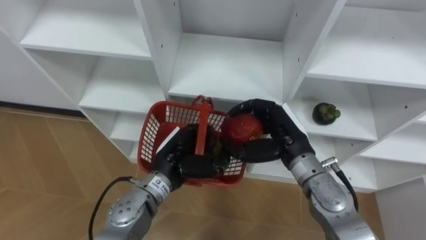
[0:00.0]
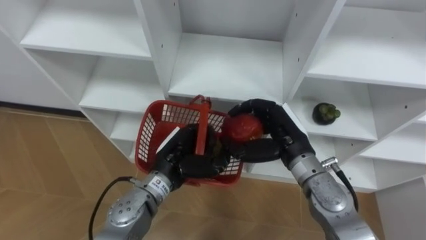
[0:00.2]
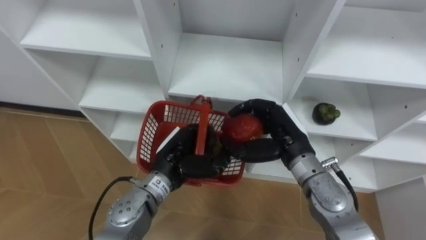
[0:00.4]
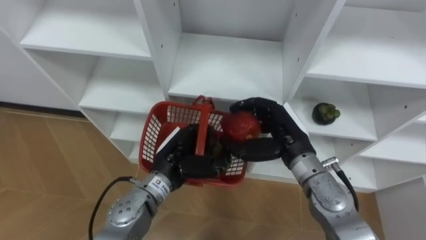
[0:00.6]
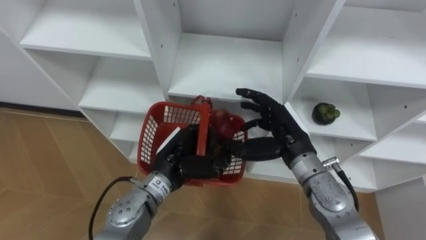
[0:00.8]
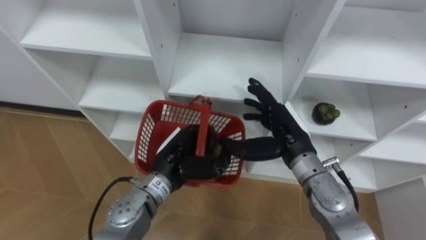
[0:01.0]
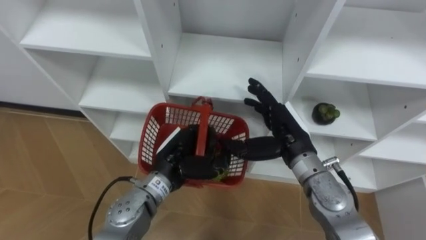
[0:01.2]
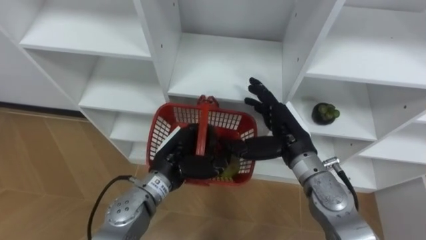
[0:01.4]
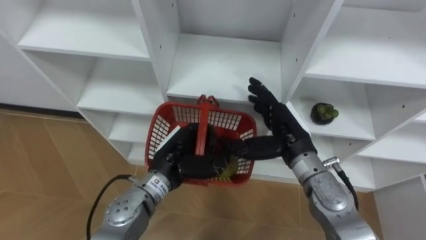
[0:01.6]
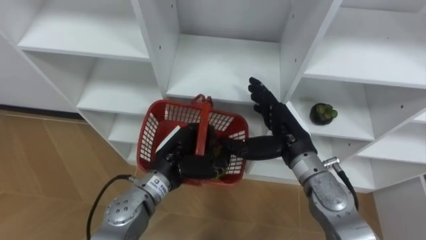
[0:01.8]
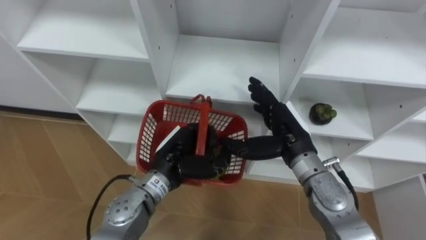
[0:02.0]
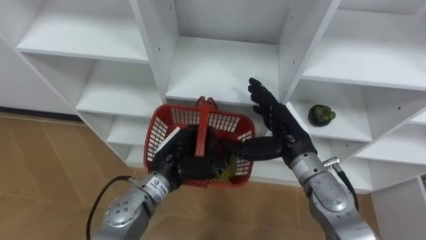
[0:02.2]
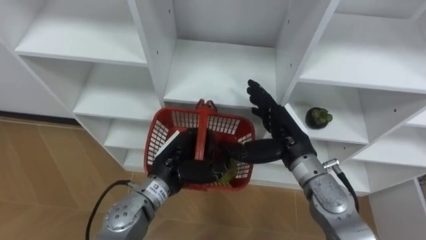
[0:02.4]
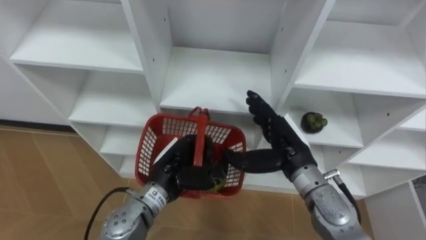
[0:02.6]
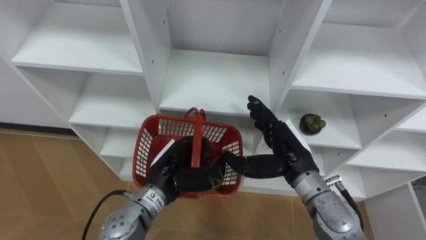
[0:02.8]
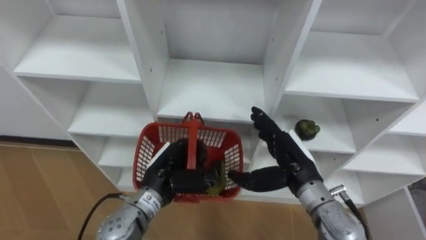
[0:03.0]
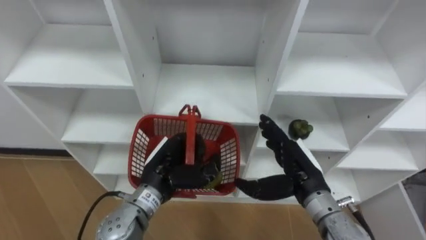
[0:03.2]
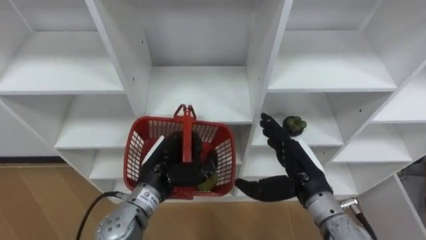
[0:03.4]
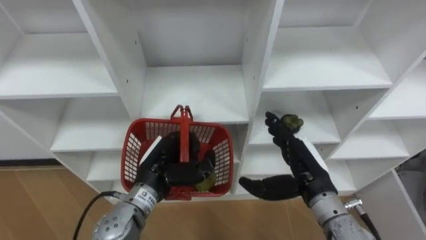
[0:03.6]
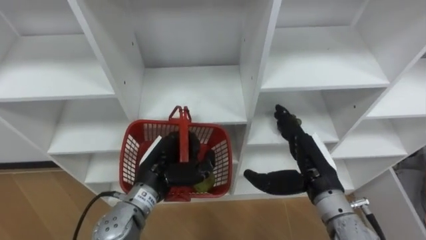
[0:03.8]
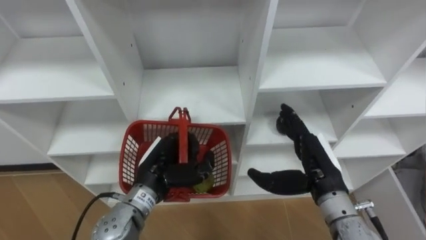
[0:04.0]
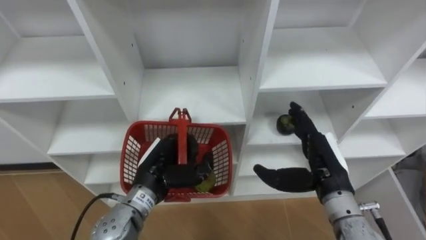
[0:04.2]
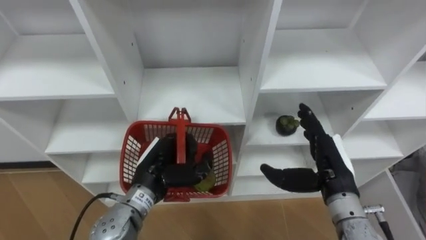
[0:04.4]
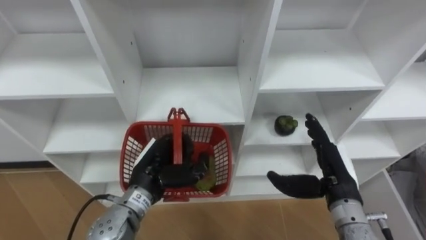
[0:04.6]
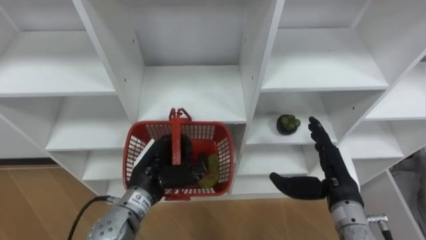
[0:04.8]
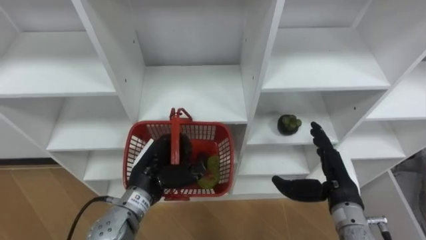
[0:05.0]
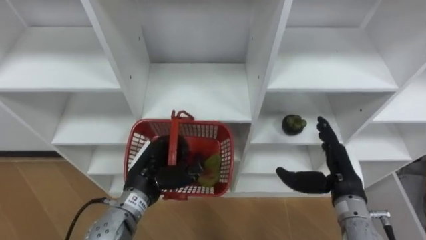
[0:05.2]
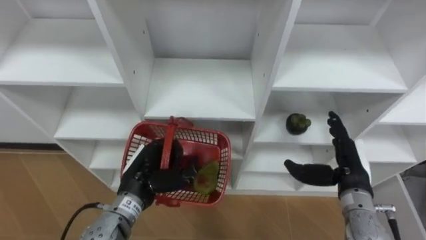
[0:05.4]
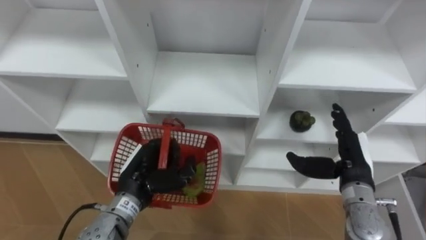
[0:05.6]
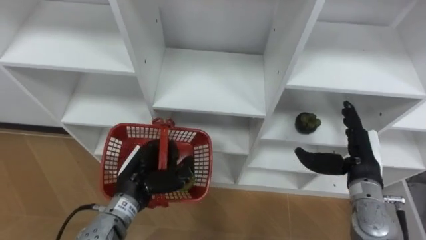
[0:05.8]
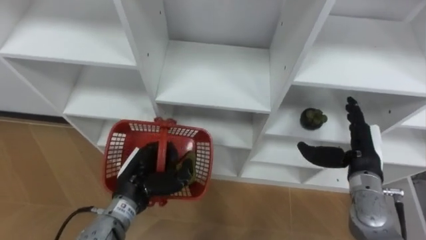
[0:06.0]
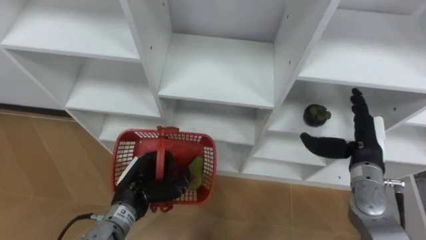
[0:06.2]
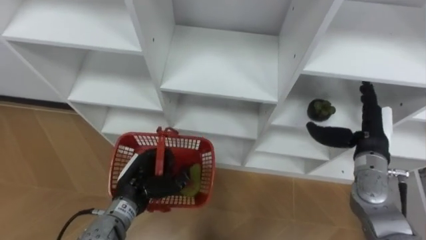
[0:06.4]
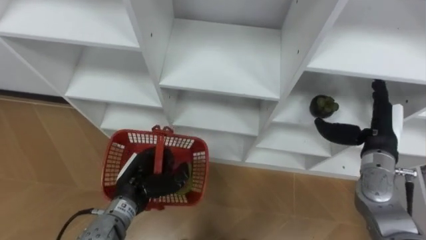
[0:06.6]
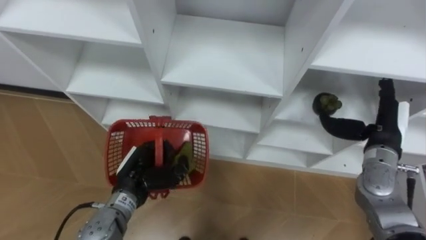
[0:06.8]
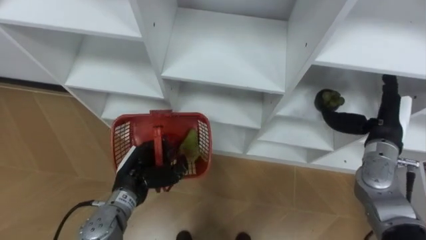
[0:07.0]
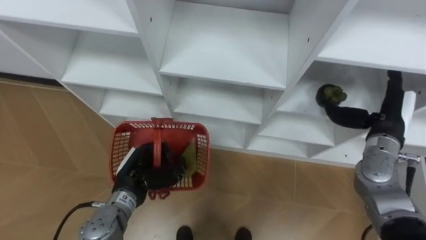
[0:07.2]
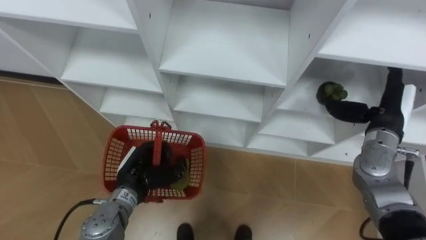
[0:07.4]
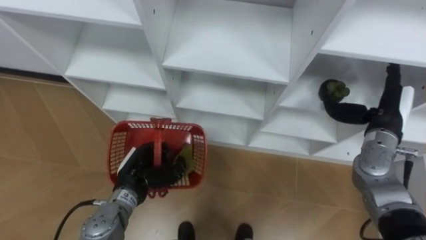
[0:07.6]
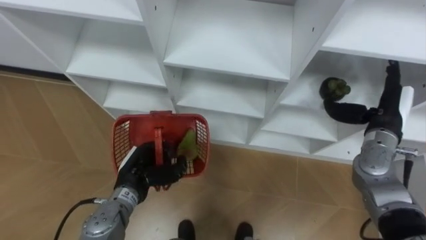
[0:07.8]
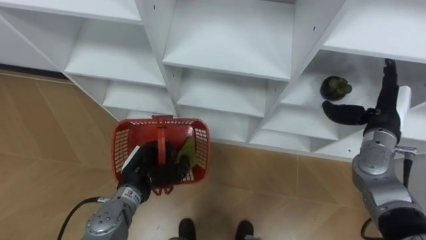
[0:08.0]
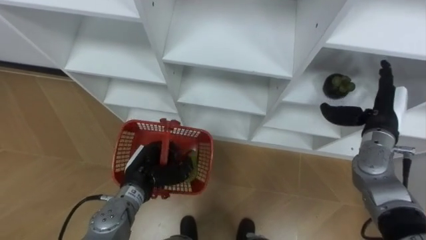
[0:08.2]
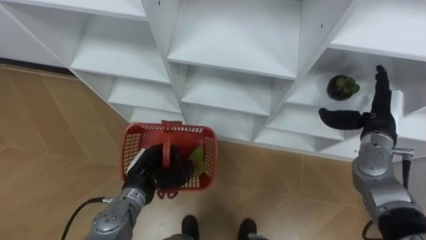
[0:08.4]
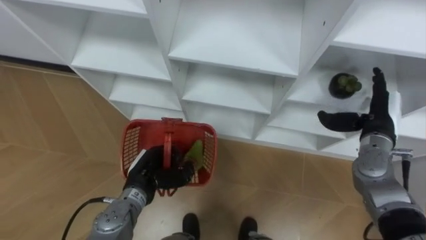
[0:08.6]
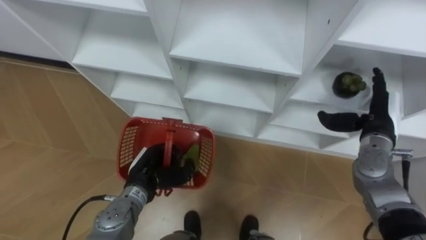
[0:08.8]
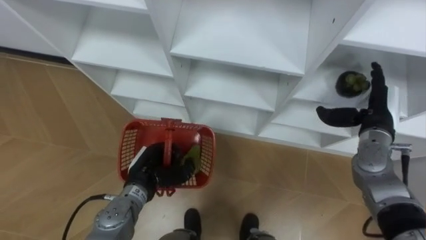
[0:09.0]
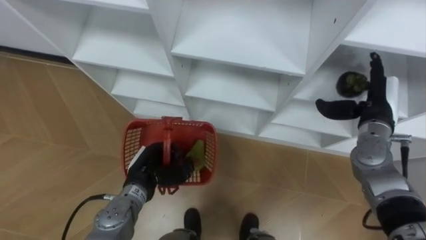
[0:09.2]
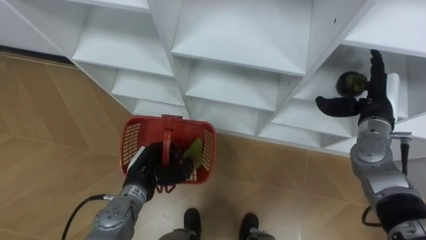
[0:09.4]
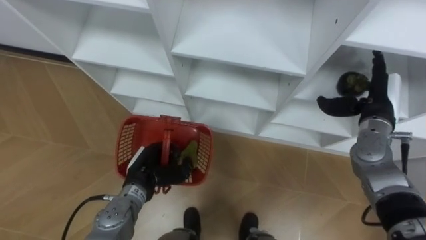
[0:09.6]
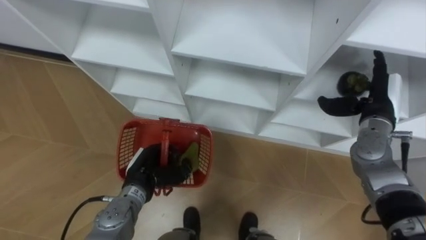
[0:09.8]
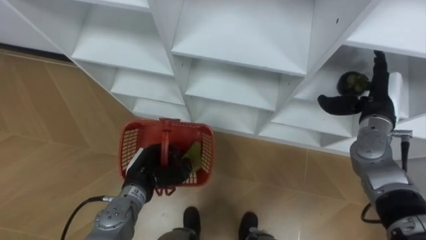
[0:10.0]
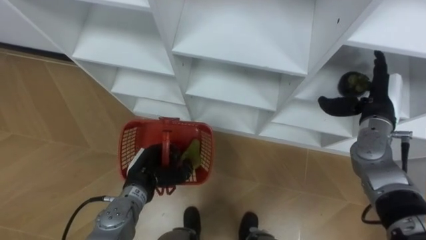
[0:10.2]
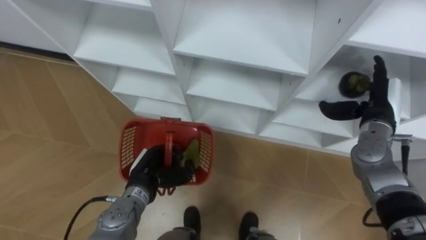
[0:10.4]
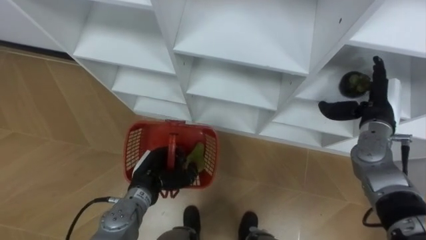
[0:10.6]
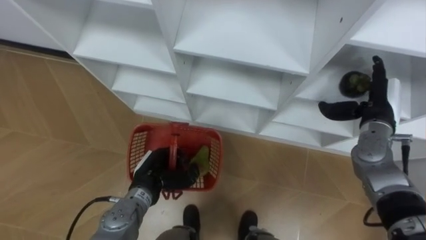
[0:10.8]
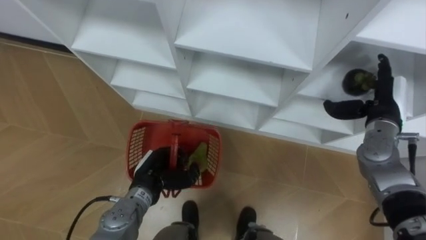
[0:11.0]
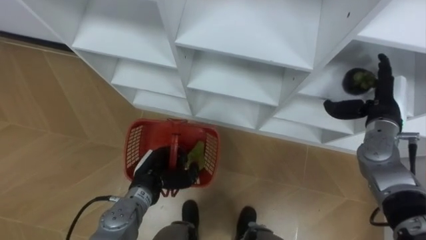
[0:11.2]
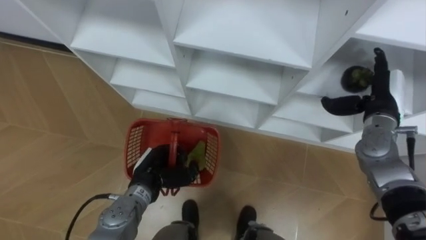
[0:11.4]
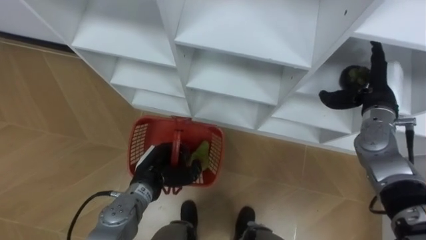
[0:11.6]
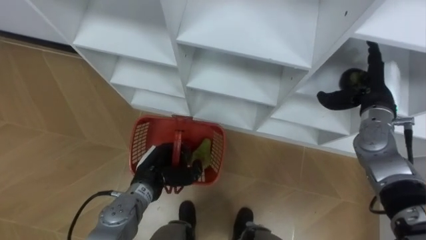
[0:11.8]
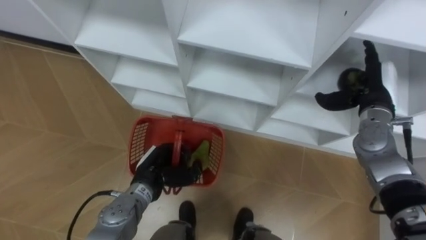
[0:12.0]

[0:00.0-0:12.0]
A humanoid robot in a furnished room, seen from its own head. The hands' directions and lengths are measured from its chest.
Task of the whole recording: Hold the basket and collect the fruits from 3 different cells of the closet into it.
0:00.0 to 0:01.6: The right hand opens its fingers.
0:01.6 to 0:03.0: The right hand shifts by some 5 cm.
0:03.0 to 0:04.4: The right hand shifts roughly 5 cm to the right.
0:04.4 to 0:06.0: The right hand shifts about 5 cm to the right.
0:06.0 to 0:07.6: The right hand goes roughly 5 cm forward.
0:09.0 to 0:10.4: There are only small adjustments of the hands.

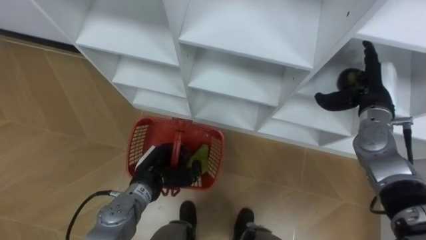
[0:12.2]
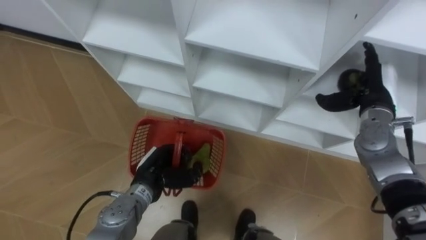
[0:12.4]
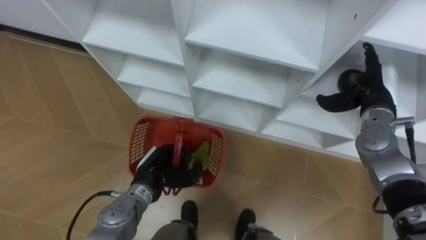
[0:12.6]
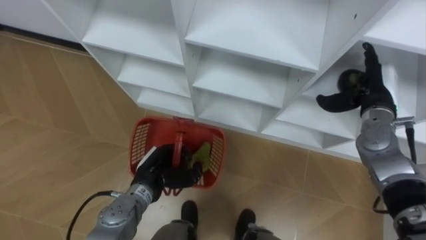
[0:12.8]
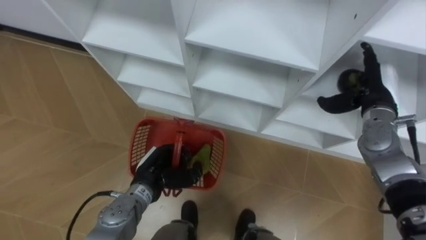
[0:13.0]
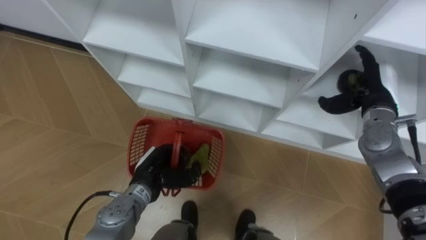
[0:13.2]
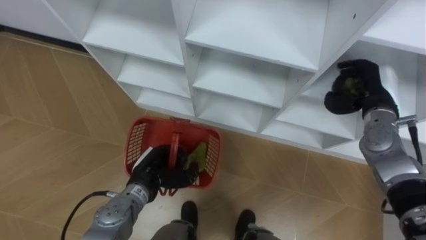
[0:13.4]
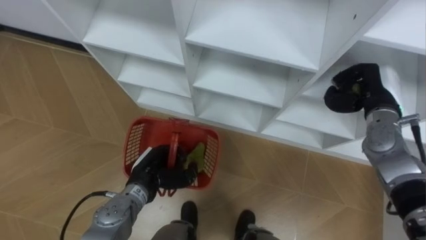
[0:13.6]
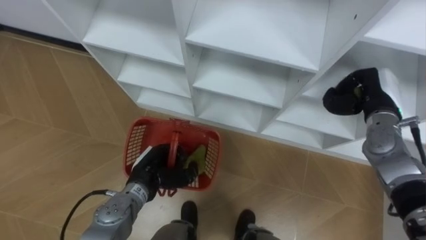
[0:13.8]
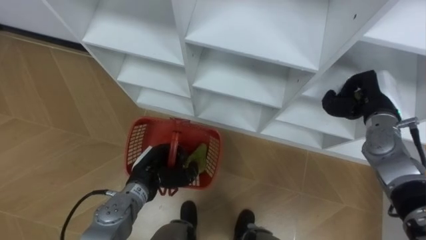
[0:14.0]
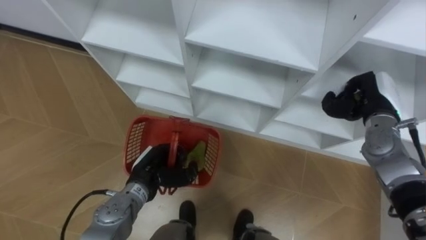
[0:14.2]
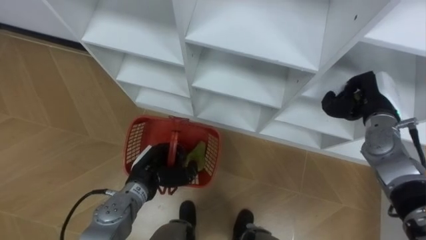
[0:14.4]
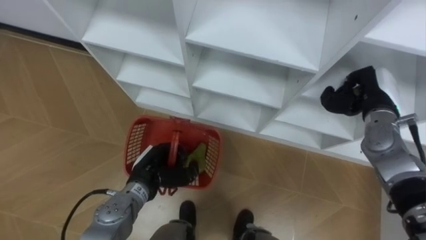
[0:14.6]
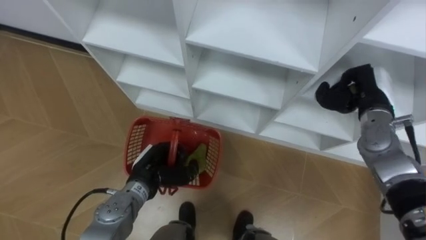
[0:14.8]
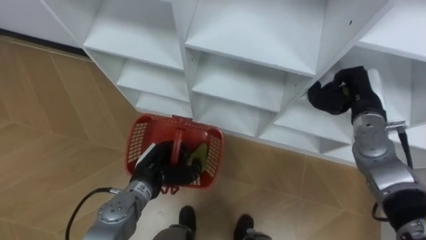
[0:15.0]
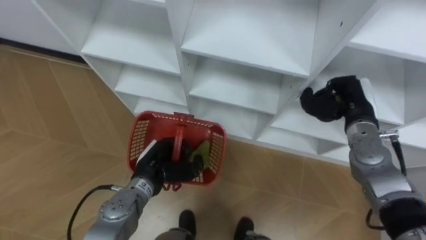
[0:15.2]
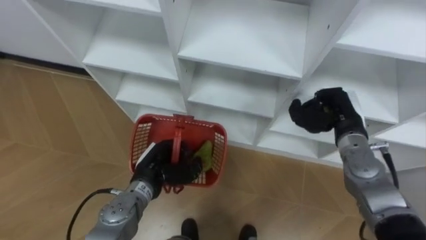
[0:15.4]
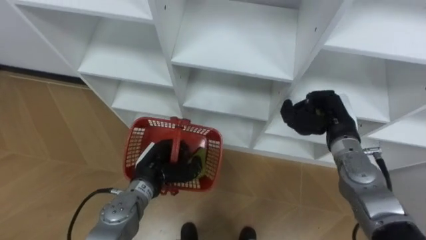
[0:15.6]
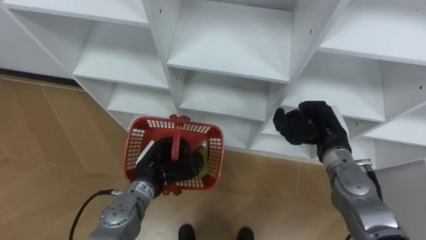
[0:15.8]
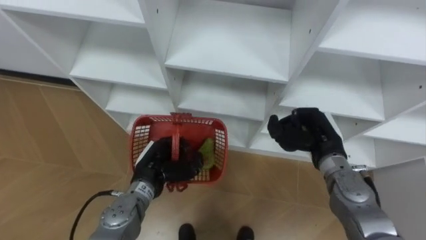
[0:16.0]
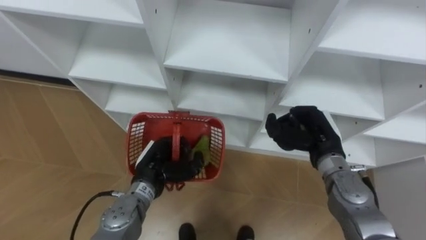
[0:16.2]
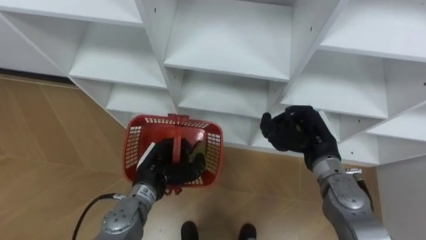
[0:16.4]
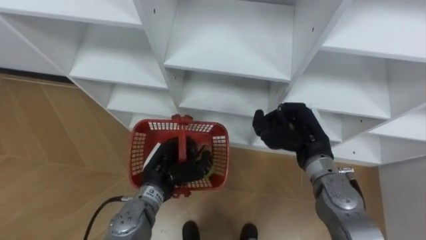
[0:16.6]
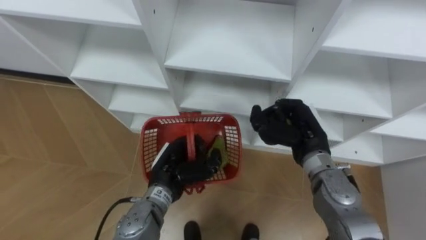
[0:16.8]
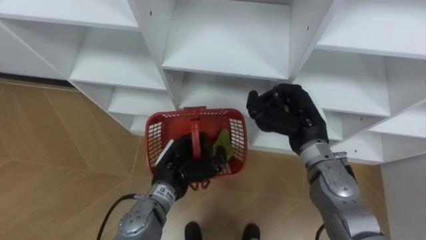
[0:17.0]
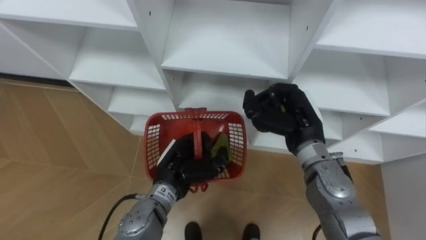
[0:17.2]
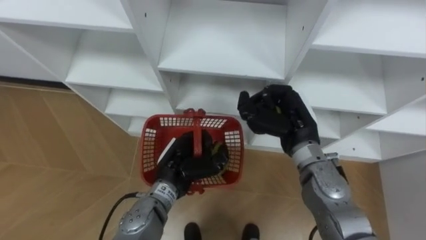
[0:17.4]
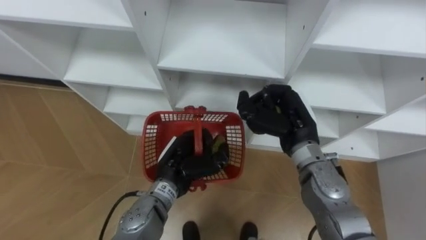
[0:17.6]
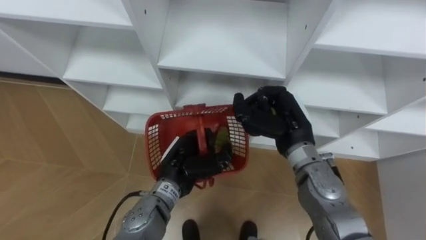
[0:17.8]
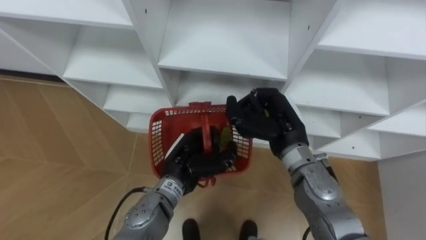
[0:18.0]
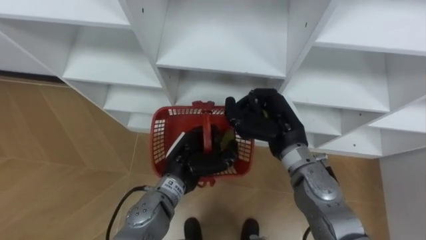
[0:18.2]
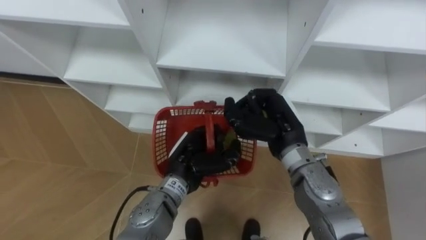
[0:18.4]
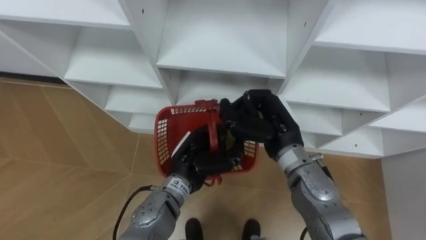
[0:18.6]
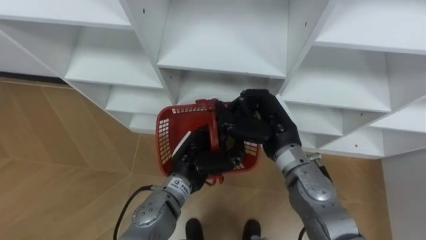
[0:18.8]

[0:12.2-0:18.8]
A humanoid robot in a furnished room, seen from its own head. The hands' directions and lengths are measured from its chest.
Task of the whole recording: Hold the basket and collect the fruits from 3 different cells of the closet into it.
0:12.2 to 0:13.8: The right hand closes its fingers.
0:13.8 to 0:15.4: The right hand is displaced to the left by some 5 cm.
0:15.4 to 0:17.2: The right hand moves to the left, about 10 cm; the left hand shifts roughly 5 cm to the right.
0:17.2 to 0:18.8: The right hand moves to the left, approximately 5 cm.
